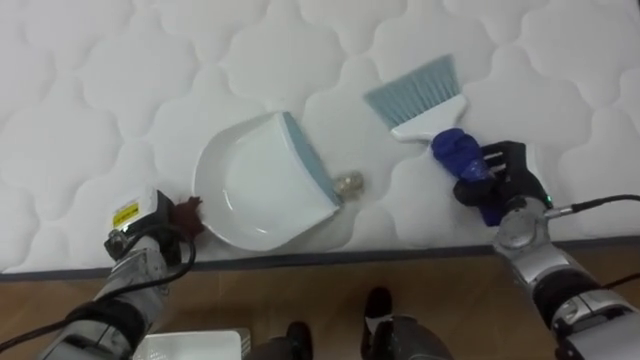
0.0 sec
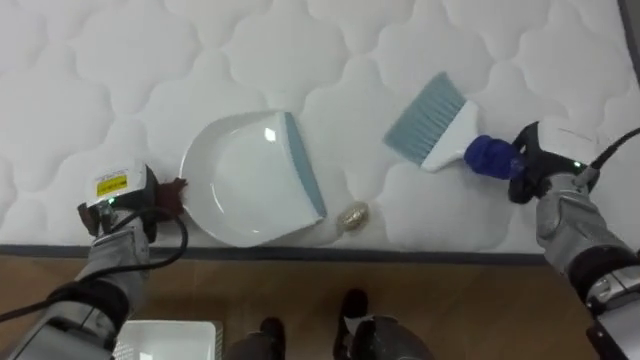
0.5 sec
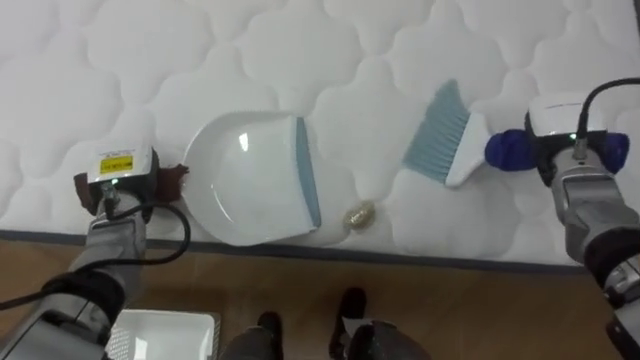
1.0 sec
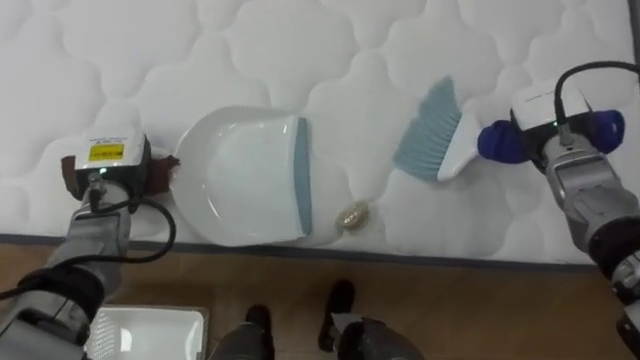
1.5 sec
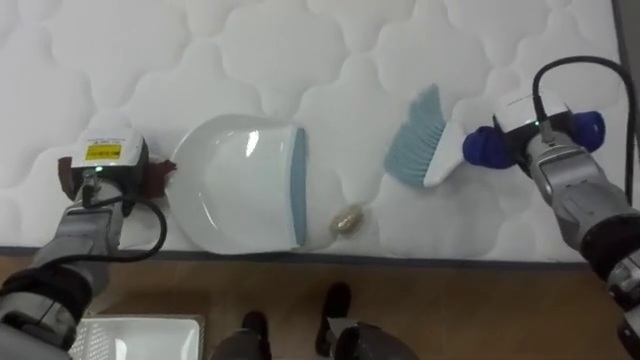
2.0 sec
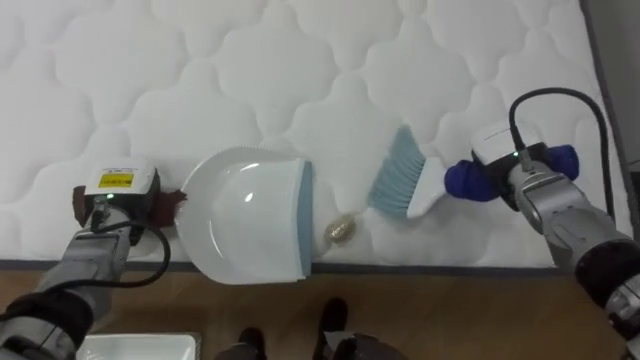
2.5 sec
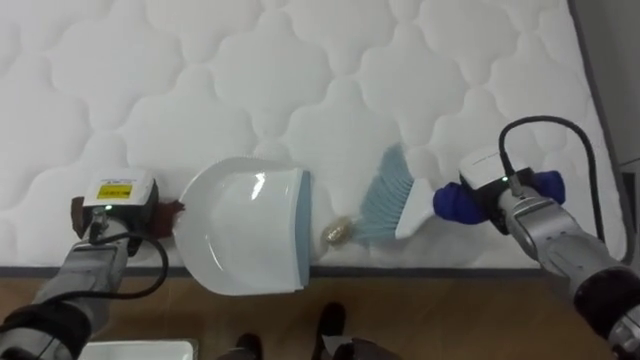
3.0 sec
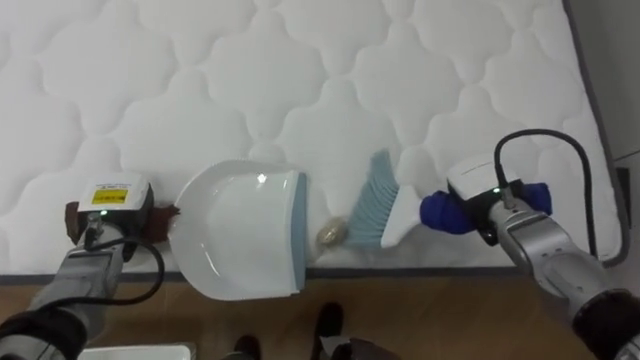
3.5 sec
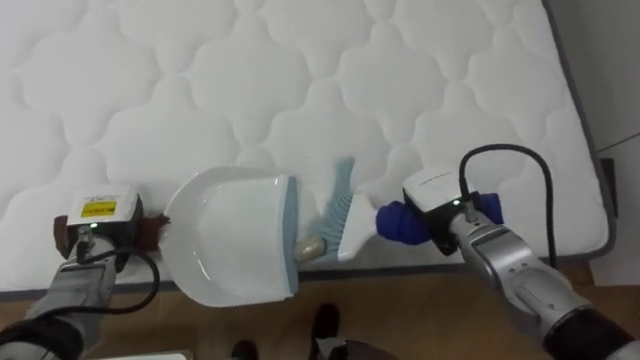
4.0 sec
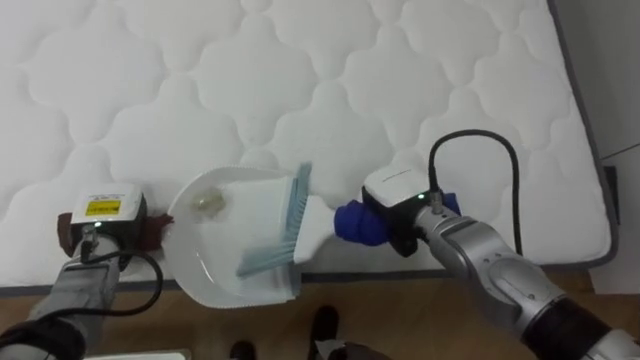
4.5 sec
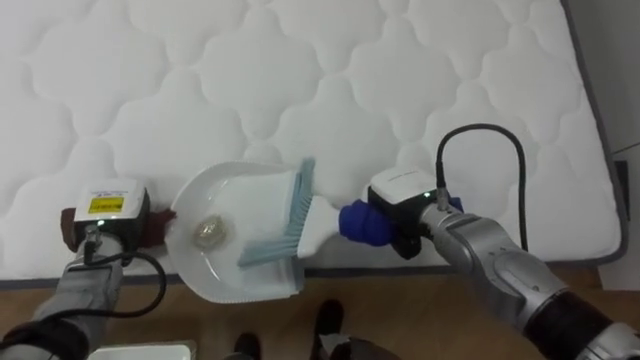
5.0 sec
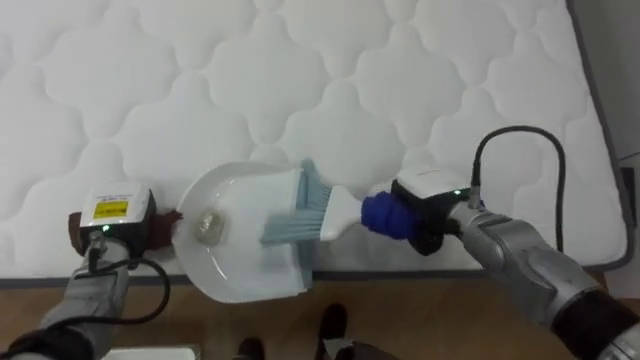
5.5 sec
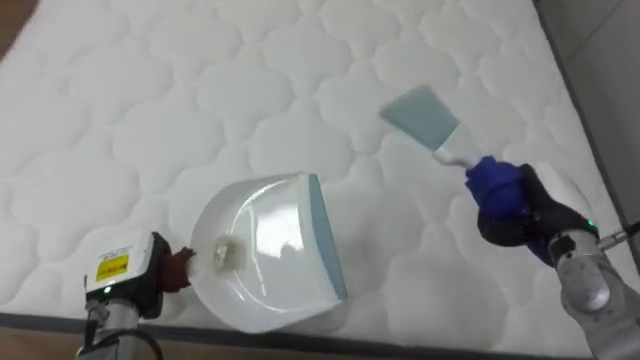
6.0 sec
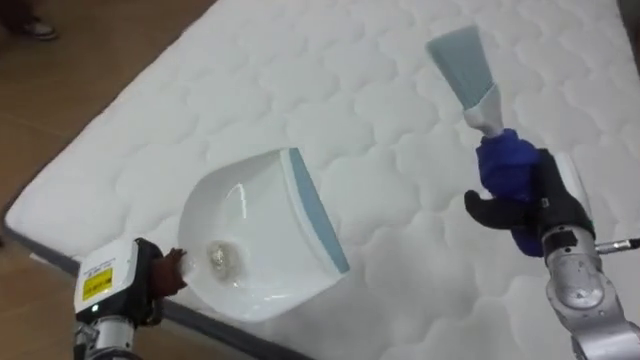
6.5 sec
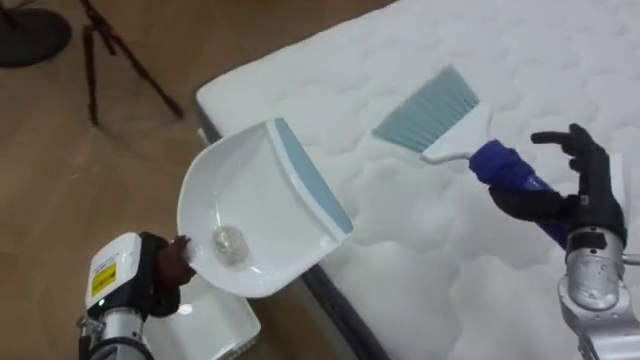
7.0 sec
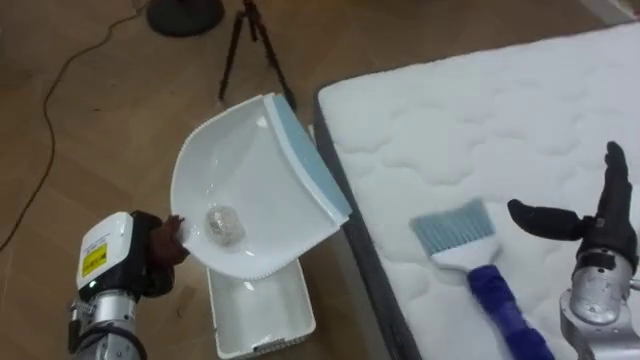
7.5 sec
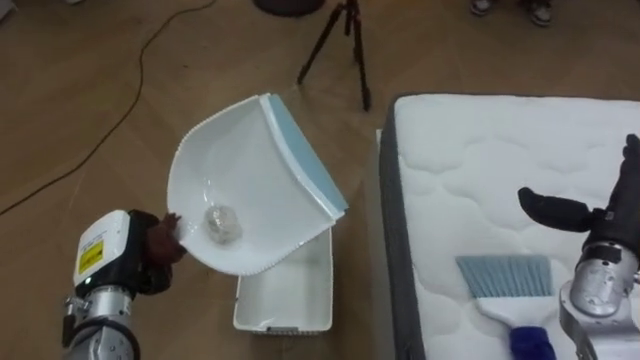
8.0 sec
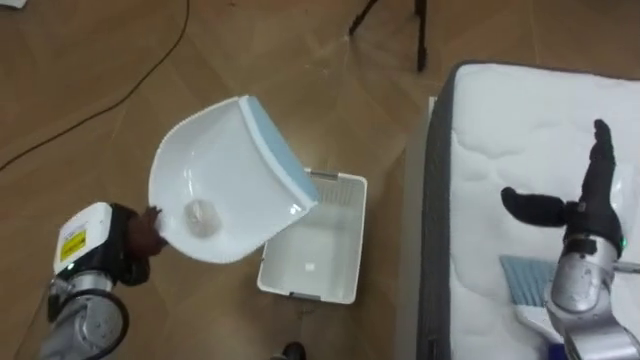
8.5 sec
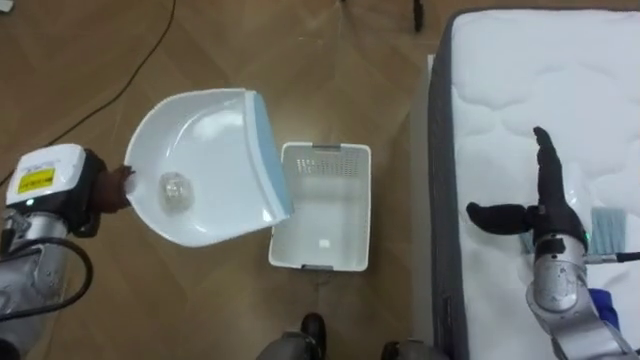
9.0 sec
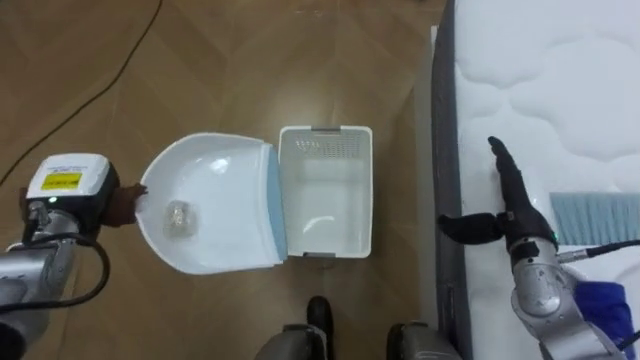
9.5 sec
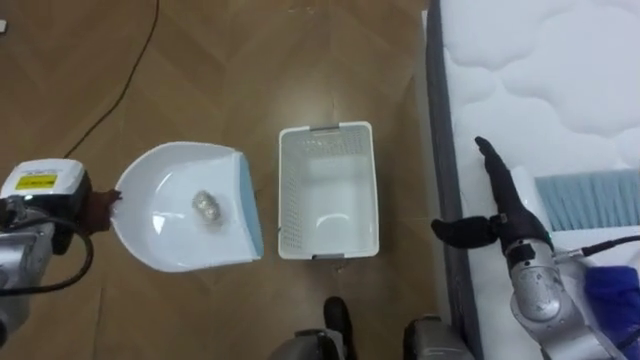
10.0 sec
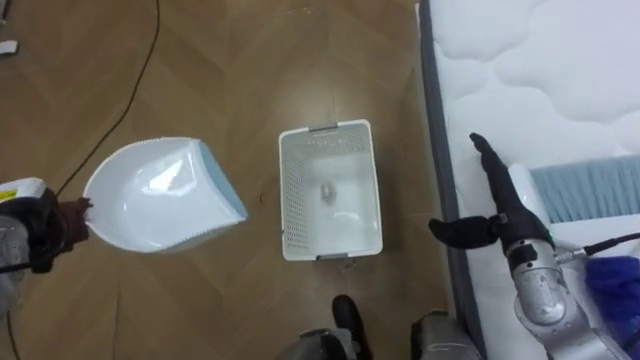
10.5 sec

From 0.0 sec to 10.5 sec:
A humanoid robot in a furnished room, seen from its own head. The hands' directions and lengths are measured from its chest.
Task of the whole recording: Pick up the brush on your right and the dustpan on your left. Use the brush to sweep the crumpled paper on the bed into the dustpan, then turn left and empty it into the basket.
From 0.0 sec to 2.0 sec: The left hand heads upward, covering approximately 10 cm. The right hand shifts about 10 cm upward and forward.
From 2.0 sec to 4.0 sec: The right hand goes about 15 cm to the left, backward and downward; the left hand shifts some 10 cm downward and backward.
From 4.0 sec to 6.5 sec: The robot turns to its left by approximately 25 degrees. The right hand heads to the right, covering some 15 cm. Meanwhile the left hand heads backward, covering roughly 10 cm.
From 6.5 sec to 8.5 sec: The robot's body swings some 80 degrees to its left. The left hand ends up roughly 5 cm from where it was, while the right hand shifts by about 5 cm, and opens up.
From 8.5 sec to 10.5 sec: Both hands move to the left, some 10 cm.

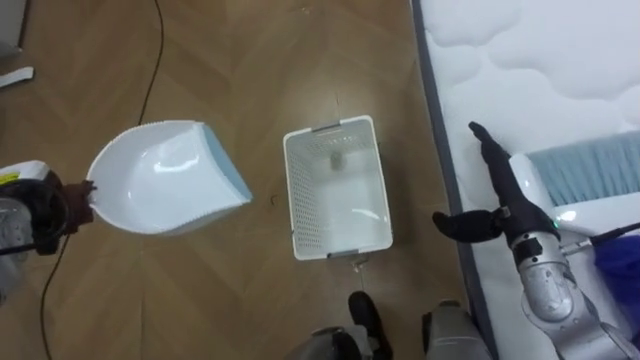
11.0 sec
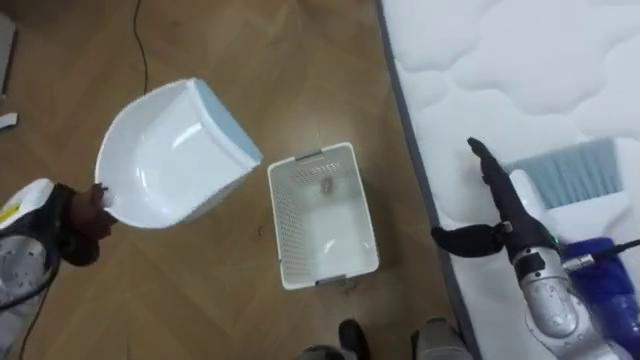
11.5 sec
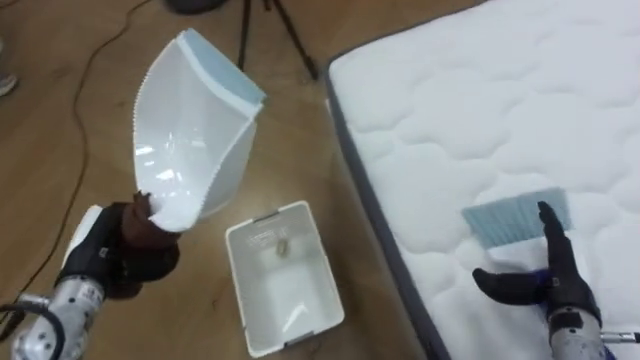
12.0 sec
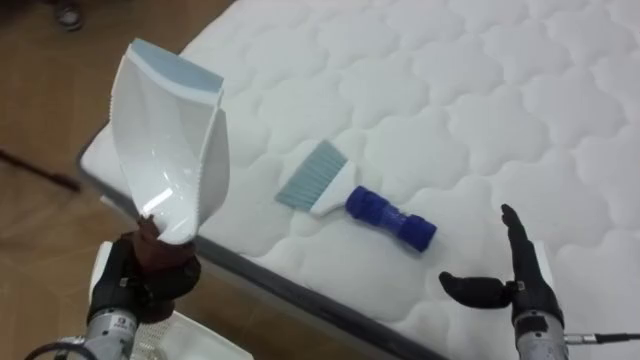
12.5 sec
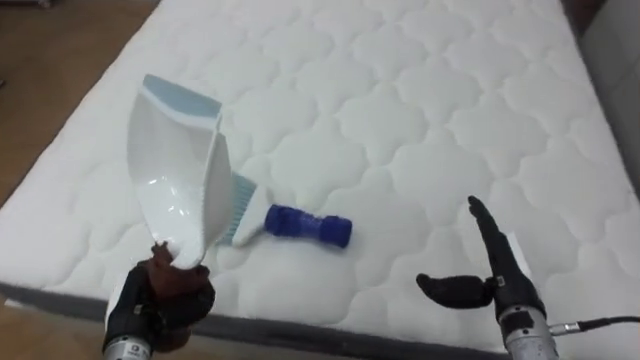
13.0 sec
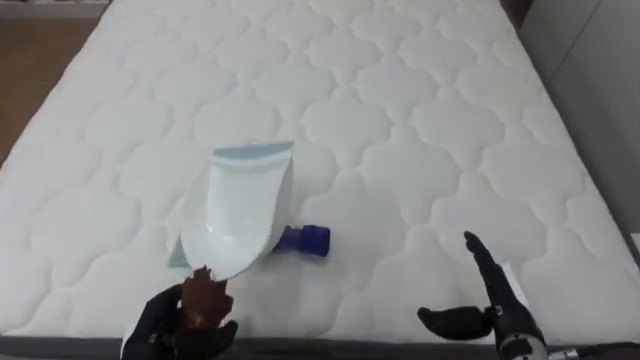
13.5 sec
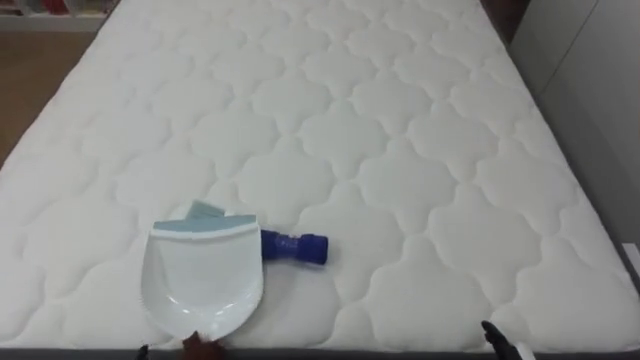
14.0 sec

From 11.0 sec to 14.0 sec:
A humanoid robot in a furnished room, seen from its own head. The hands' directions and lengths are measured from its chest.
Task of the whole recording: Pick up the brush on your right and the dustpan on your left. Use the brush to sweep the crumpled paper on the bed into the dustpan, then turn left and empty it into the basket.
From 11.0 sec to 12.5 sec: The robot turns to its right by about 75 degrees. The left hand travels to the right, backward and downward by roughly 15 cm, while the right hand is displaced backward and downward by roughly 10 cm.
From 12.5 sec to 14.0 sec: The robot turns to its right by about 25 degrees.

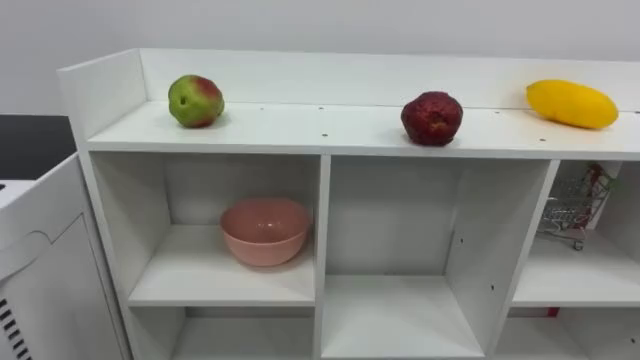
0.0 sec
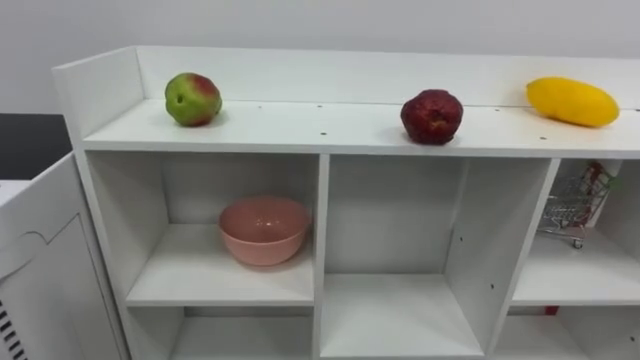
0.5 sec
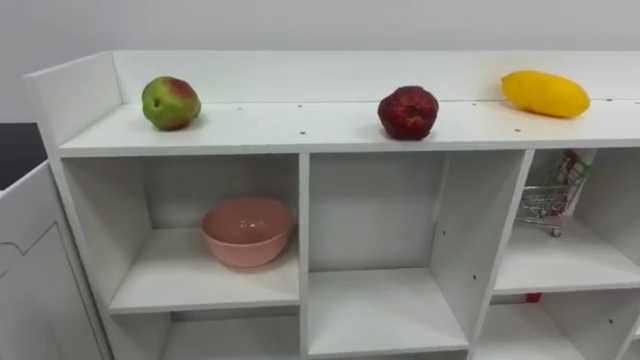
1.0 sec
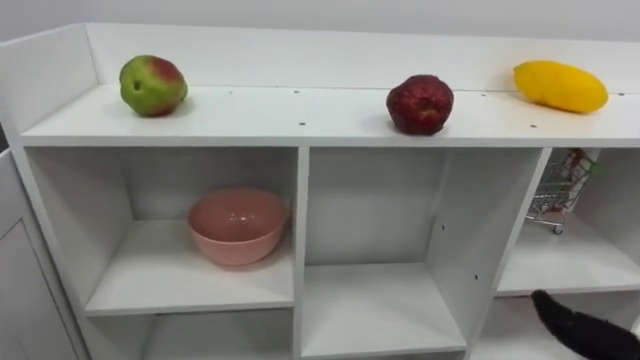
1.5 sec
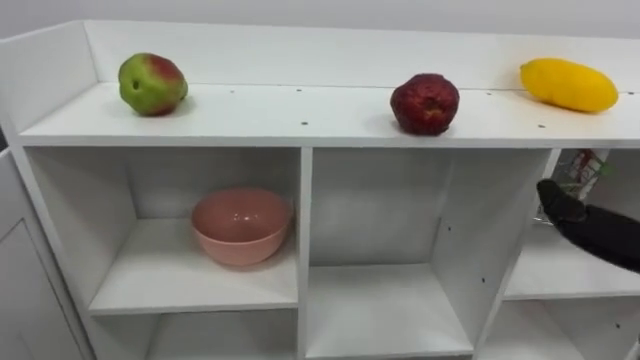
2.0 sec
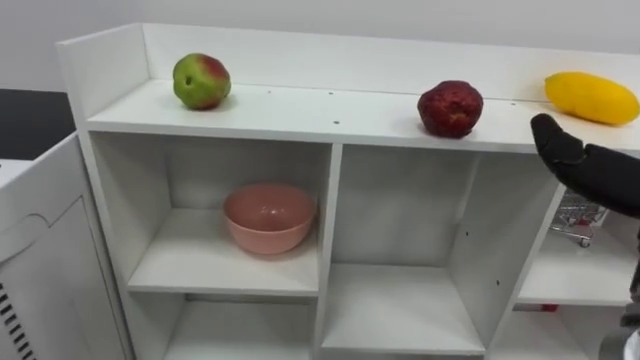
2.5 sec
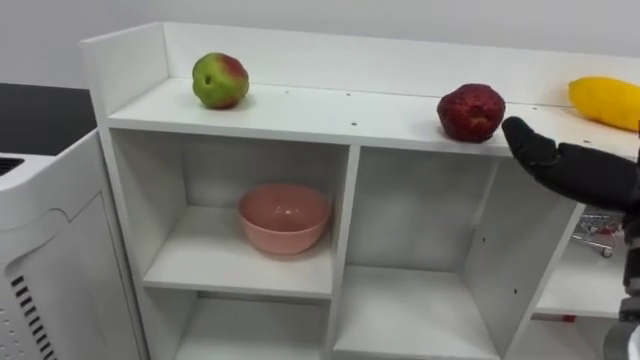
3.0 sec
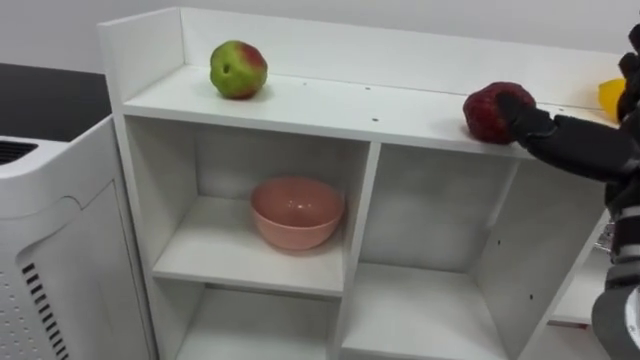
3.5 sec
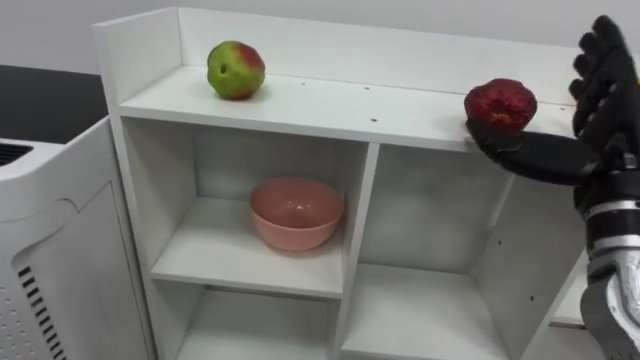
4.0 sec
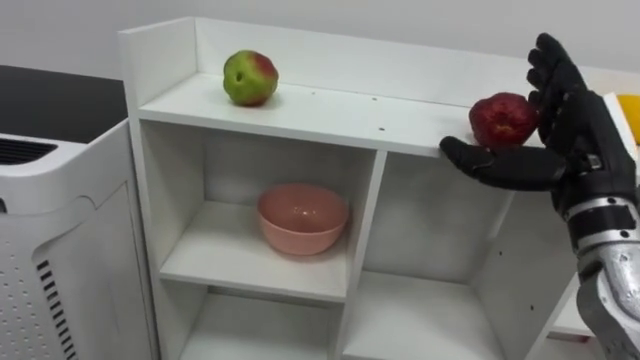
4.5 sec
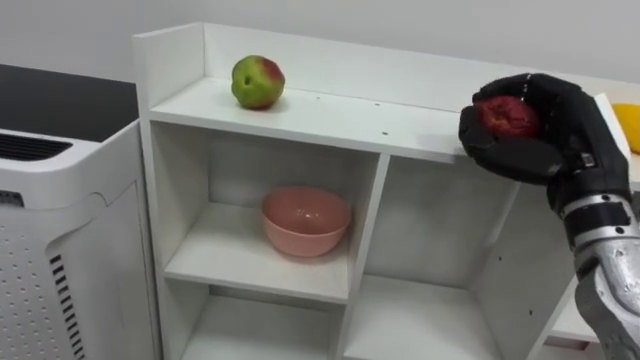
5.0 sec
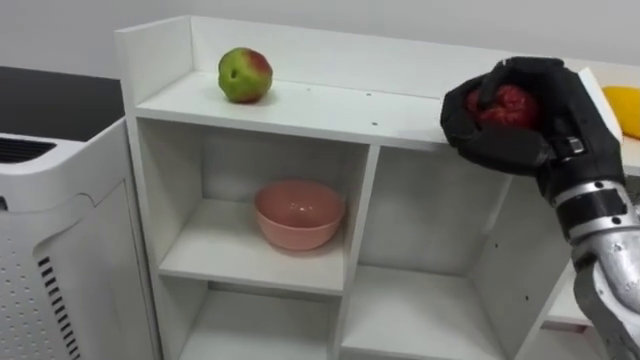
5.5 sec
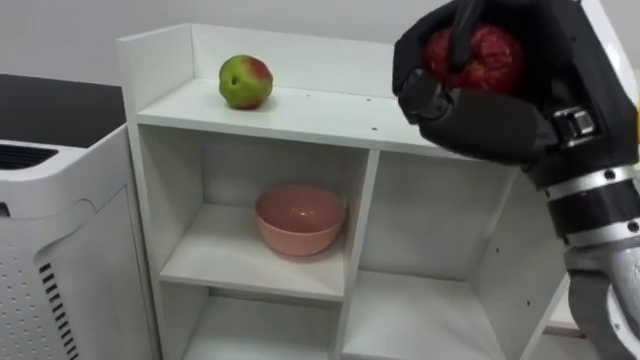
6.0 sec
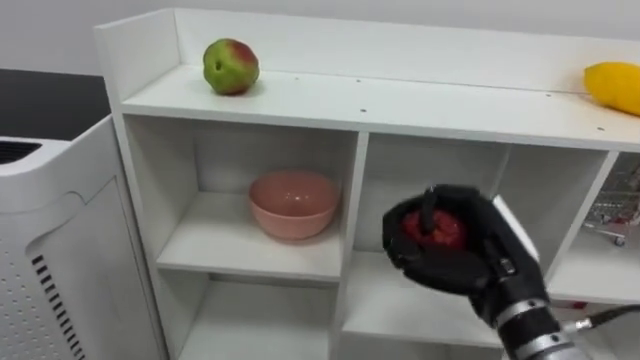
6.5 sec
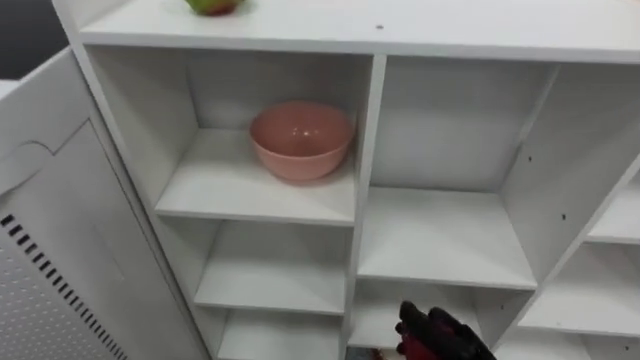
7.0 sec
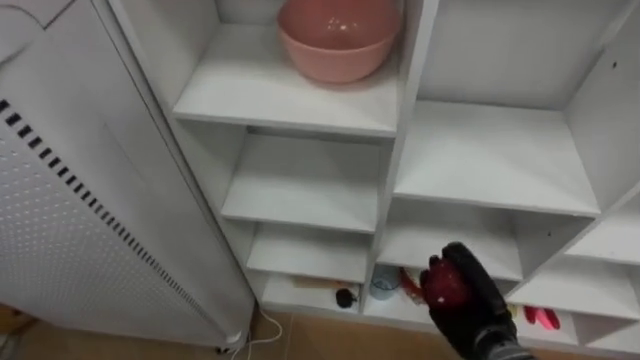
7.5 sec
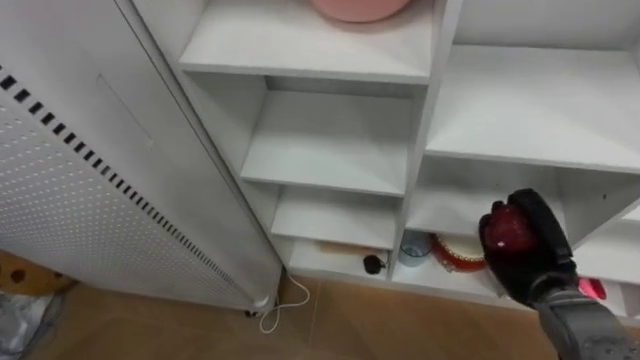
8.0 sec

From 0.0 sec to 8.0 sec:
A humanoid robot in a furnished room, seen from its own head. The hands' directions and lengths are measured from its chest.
Task of the whole recording: Put the apple in the cell in the second column from the left and the second row from the top.
From 4.0 sec to 6.0 sec: The right hand moves to the left, upward and backward, roughly 15 cm, and closes.
